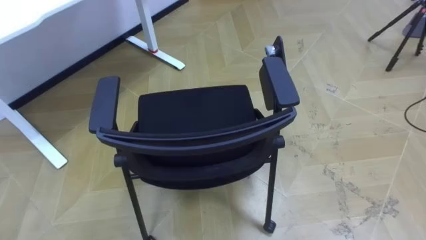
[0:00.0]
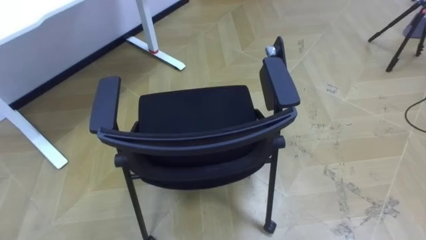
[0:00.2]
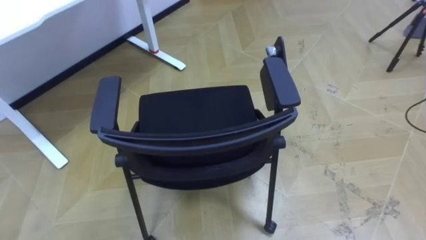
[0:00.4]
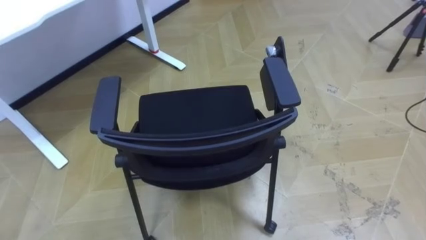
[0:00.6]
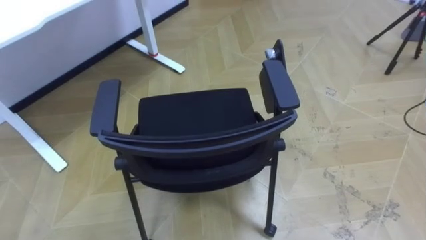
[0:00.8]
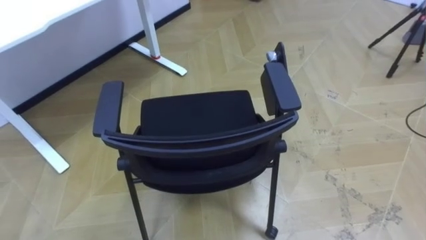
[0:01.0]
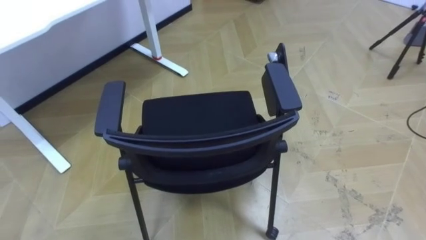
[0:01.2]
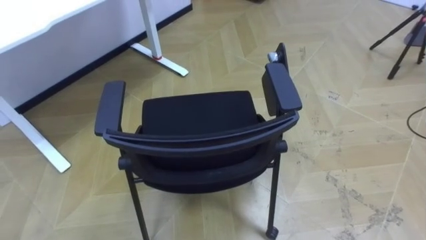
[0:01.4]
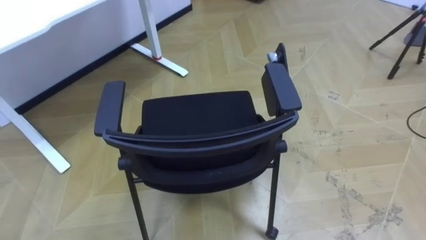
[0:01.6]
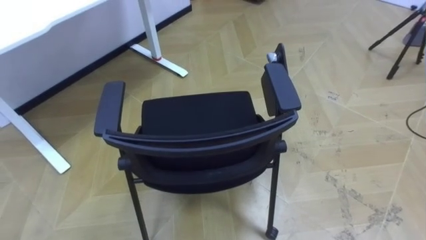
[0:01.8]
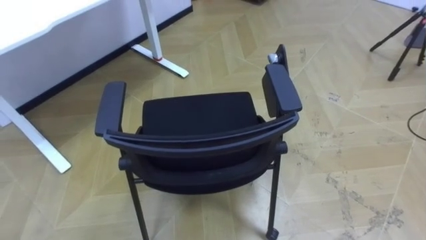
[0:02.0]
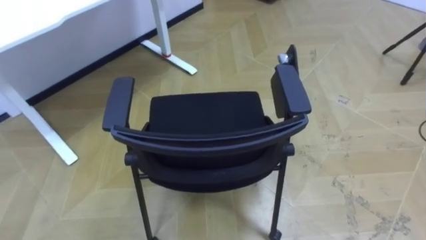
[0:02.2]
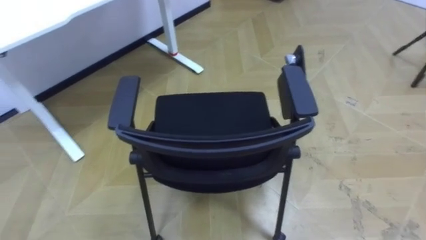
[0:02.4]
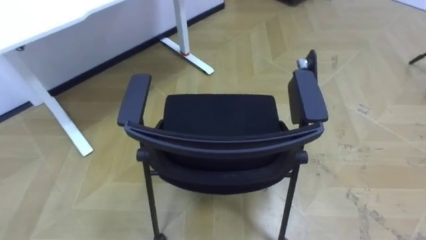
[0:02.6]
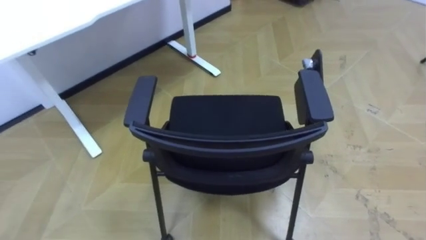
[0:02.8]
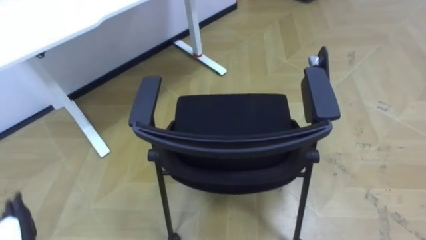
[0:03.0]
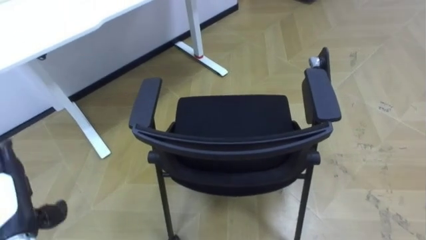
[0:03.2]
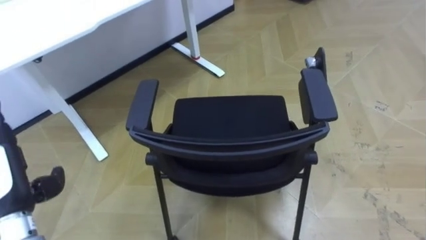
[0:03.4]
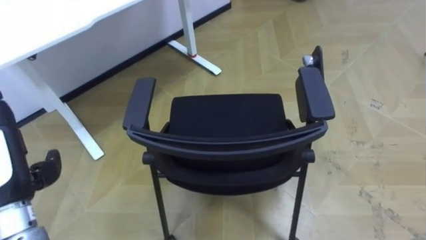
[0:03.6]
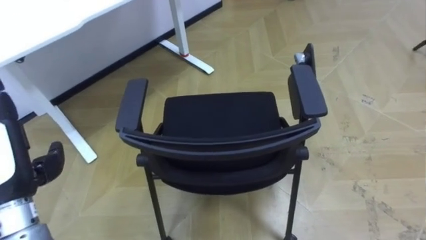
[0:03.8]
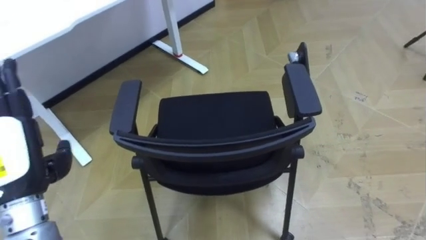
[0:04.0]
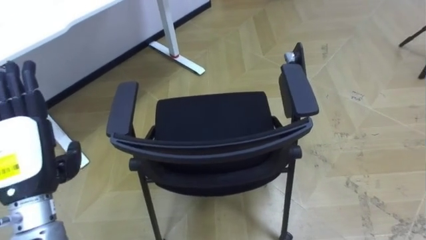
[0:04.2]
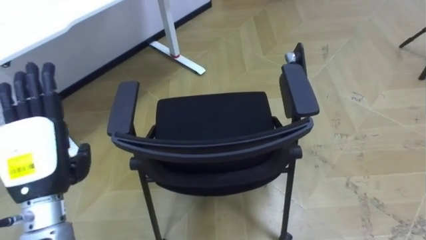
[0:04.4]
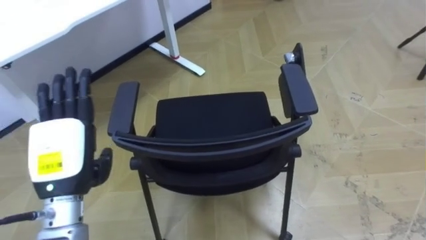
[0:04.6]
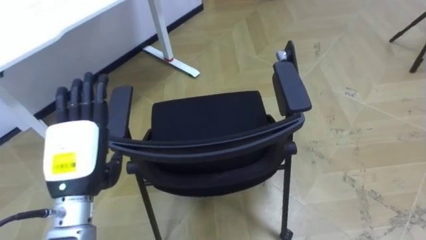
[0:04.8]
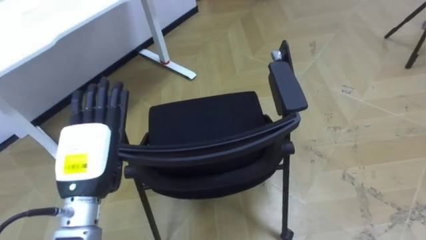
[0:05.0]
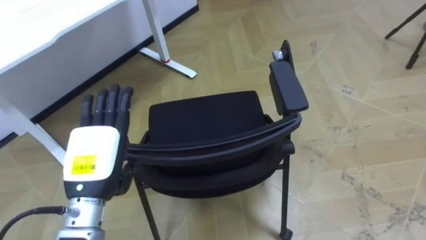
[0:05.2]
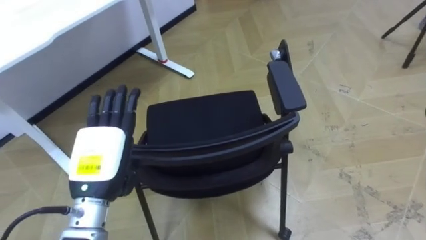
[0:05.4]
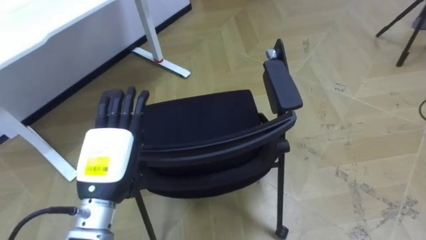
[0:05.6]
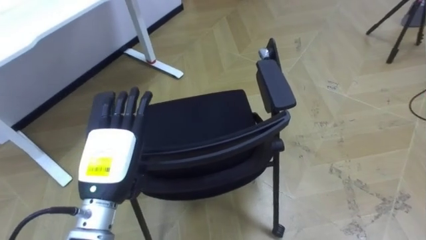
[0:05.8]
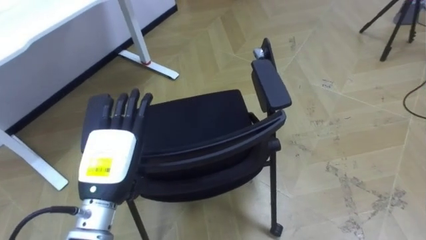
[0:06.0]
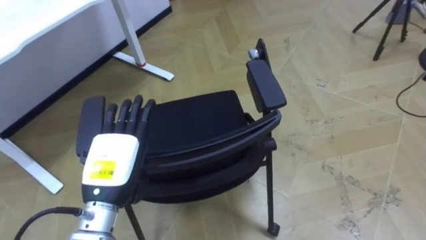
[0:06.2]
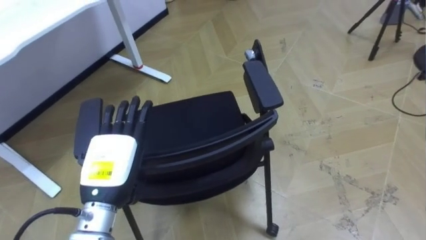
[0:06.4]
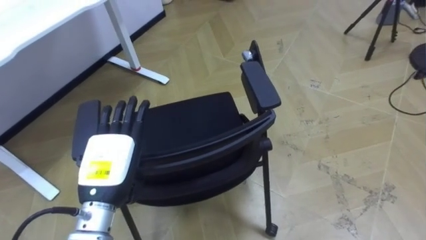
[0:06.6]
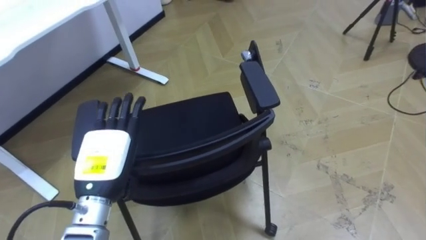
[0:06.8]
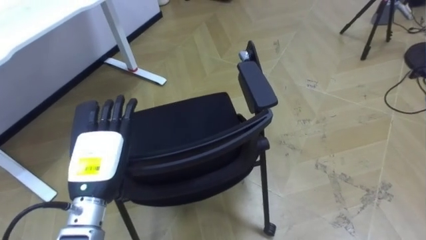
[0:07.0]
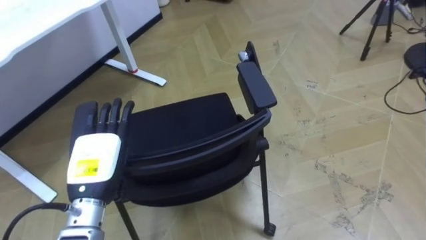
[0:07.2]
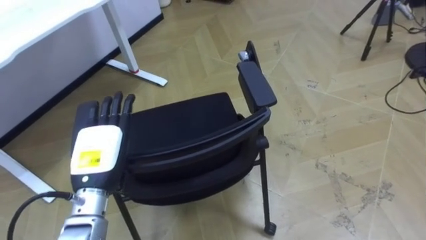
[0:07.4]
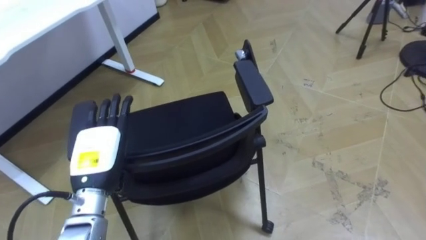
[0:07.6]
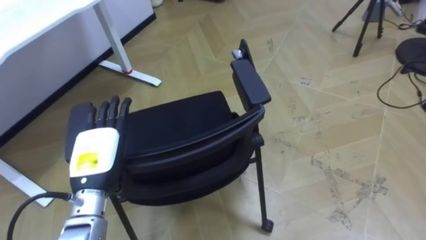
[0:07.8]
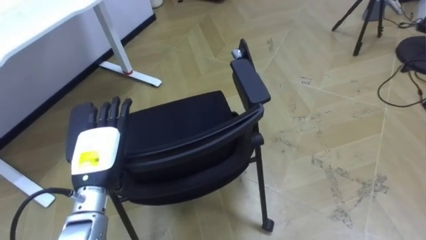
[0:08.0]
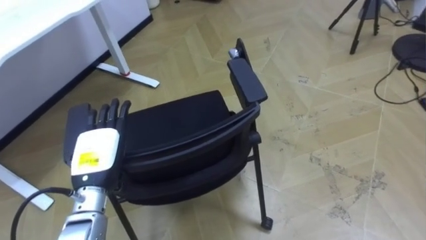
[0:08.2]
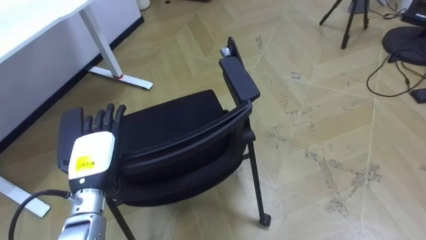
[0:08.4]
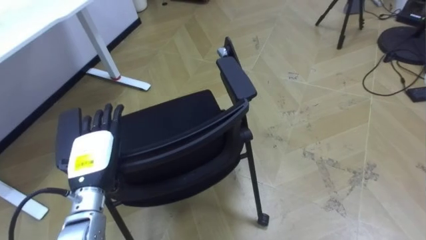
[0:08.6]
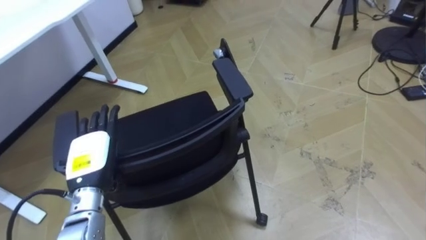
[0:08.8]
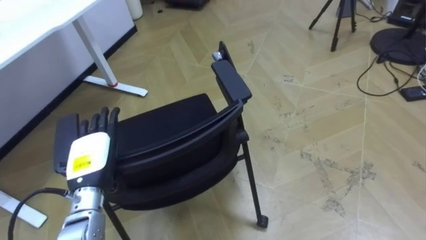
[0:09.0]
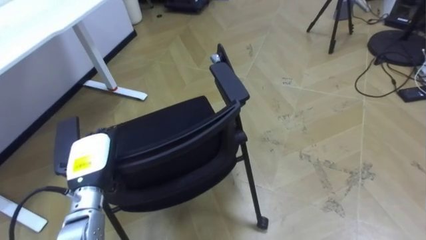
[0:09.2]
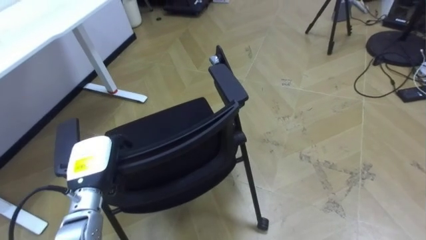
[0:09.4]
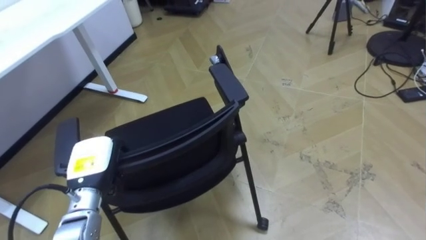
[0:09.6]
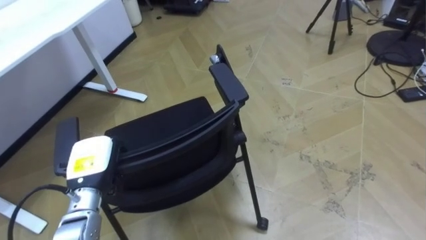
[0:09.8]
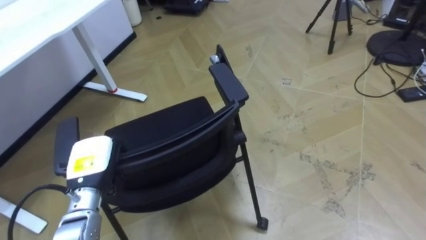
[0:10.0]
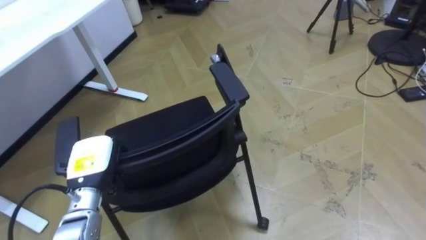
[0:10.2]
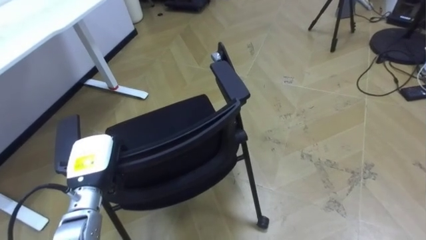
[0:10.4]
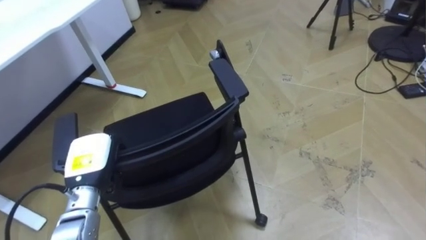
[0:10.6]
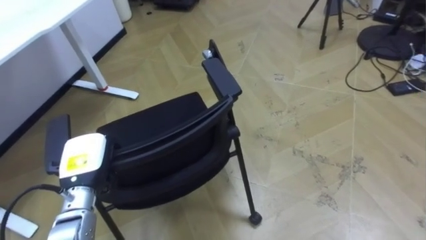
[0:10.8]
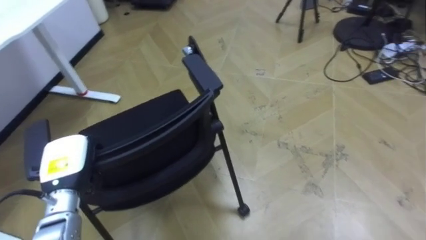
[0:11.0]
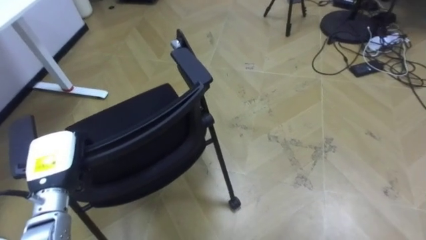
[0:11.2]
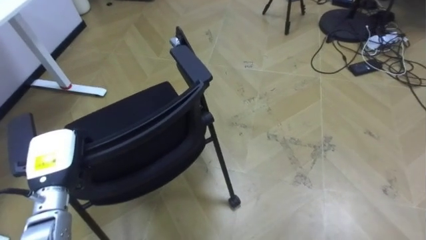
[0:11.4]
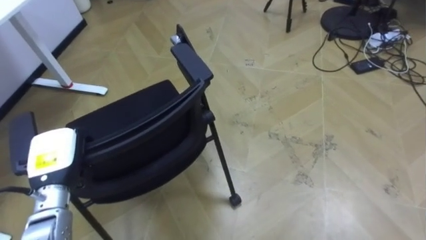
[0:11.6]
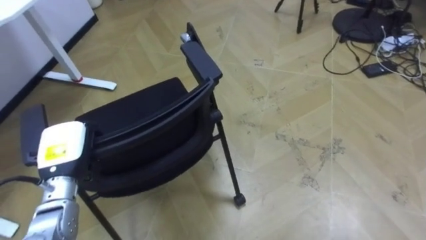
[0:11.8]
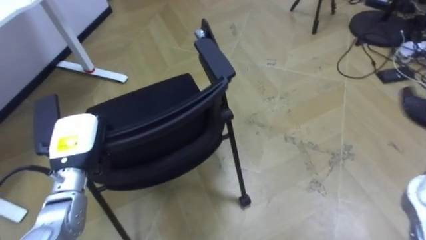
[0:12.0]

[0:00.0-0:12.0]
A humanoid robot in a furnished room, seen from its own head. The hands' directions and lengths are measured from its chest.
Task of the whole recording: Push the chair under the table.
0:04.4 to 0:06.0: The left hand moves to the right, some 10 cm.
0:09.0 to 0:10.4: The left hand closes up.

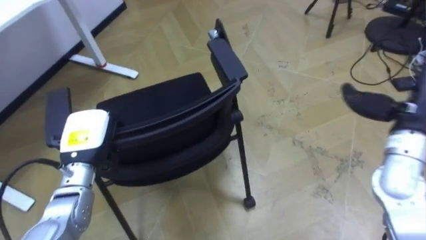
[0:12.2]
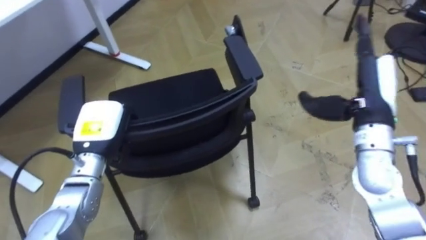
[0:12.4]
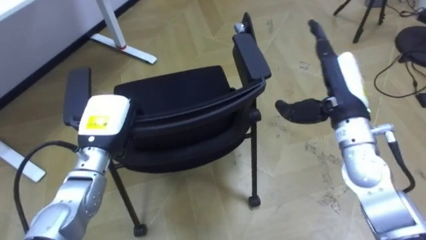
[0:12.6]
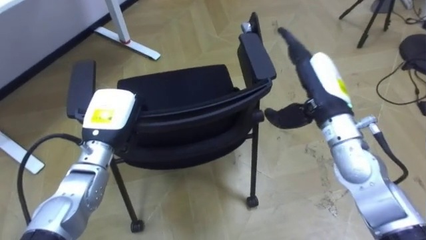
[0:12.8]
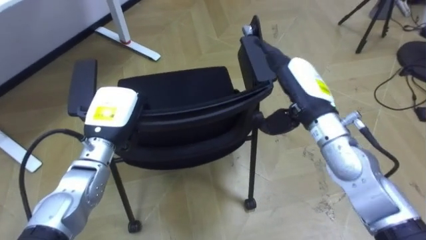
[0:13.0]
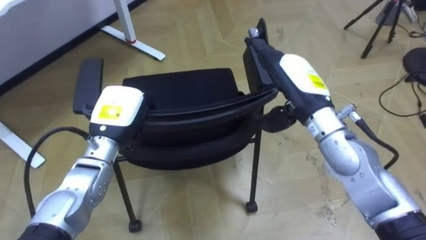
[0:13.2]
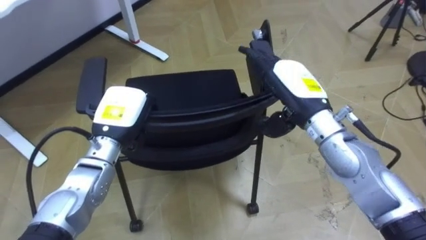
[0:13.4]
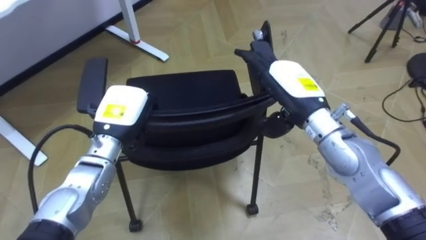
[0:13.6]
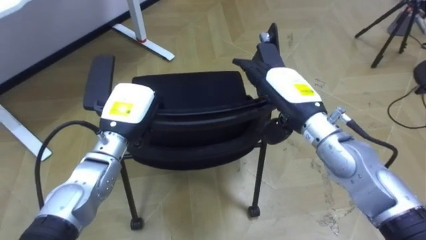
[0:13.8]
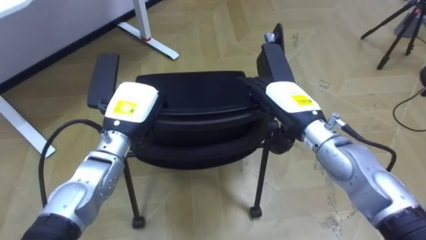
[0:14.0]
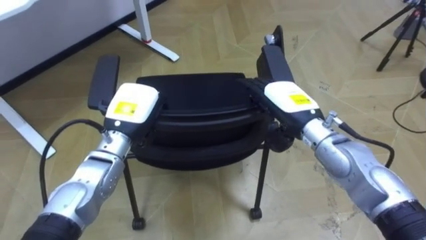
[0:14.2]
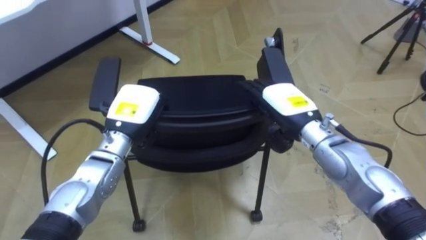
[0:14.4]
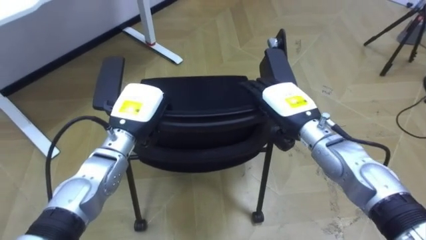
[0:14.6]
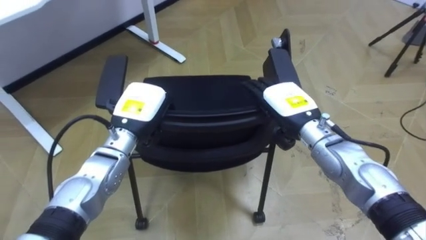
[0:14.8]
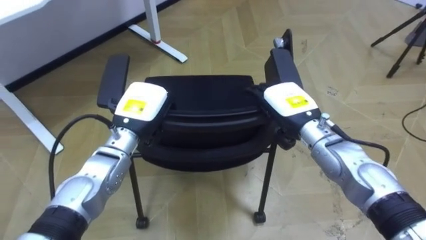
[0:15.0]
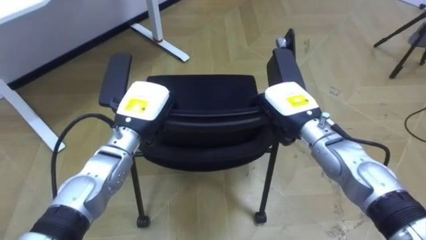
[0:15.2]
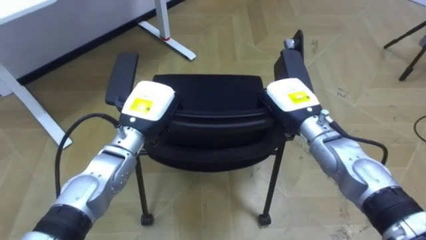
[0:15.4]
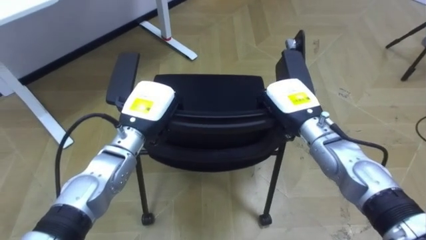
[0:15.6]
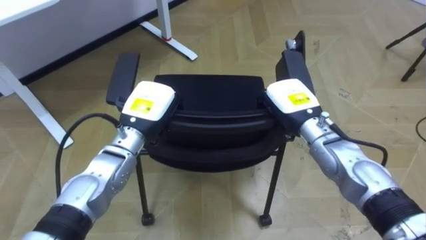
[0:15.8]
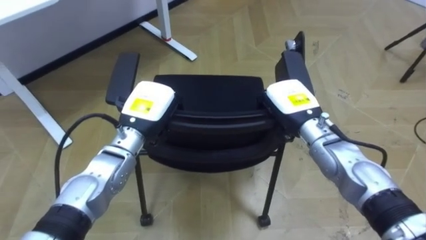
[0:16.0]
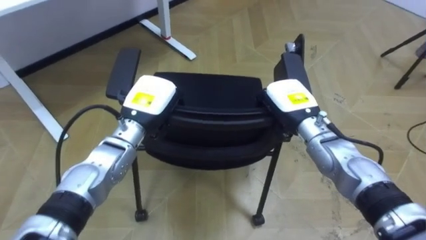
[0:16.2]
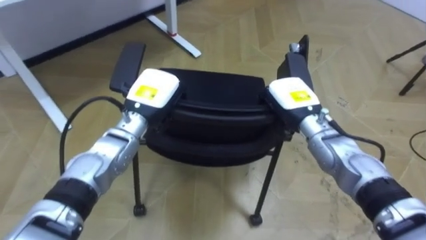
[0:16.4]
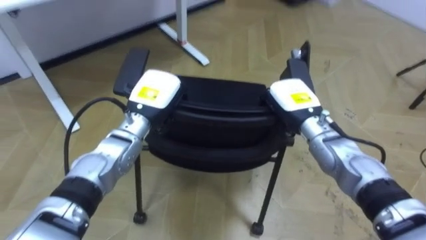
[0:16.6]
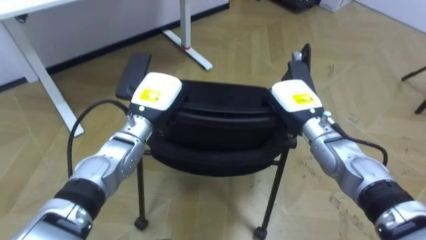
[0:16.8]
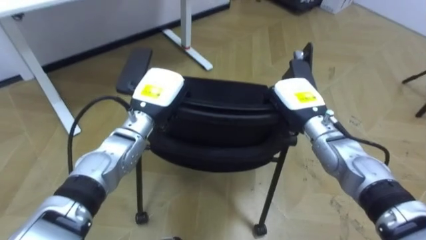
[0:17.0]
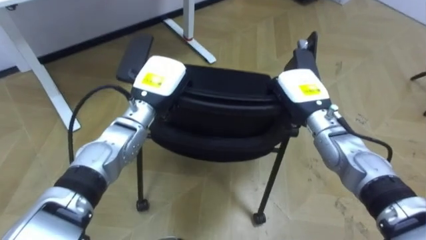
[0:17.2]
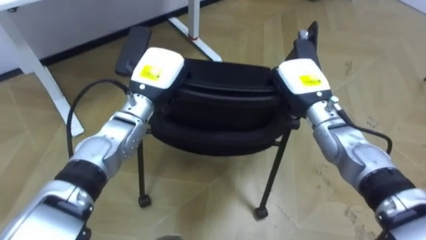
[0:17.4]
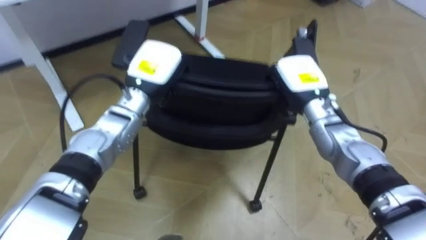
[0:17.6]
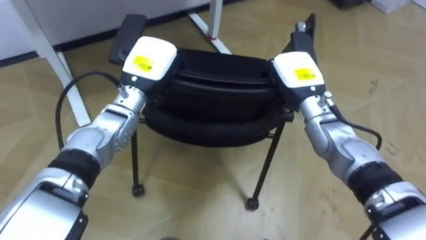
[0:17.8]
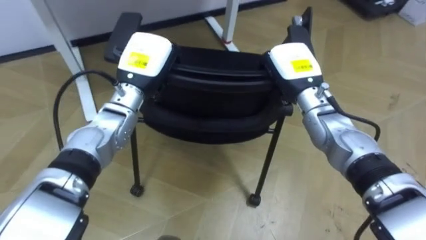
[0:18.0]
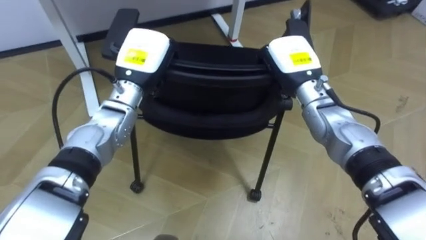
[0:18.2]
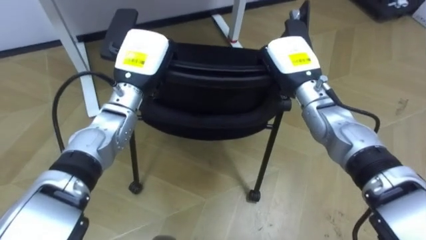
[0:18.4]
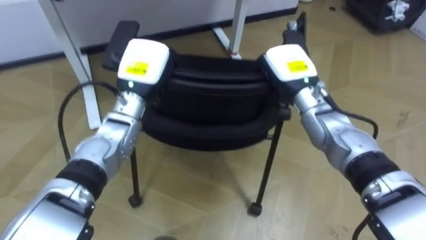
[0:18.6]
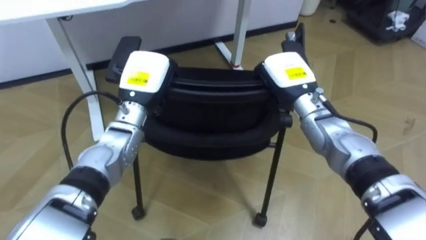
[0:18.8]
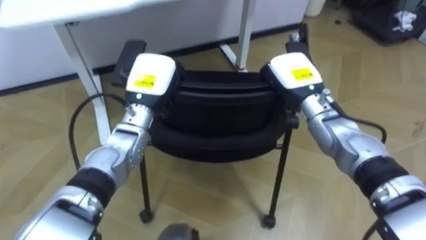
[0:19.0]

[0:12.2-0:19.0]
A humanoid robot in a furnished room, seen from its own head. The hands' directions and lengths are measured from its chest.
Task of the whole recording: Push the chair under the table.
0:12.2 to 0:13.6: The right hand goes roughly 20 cm to the left, while the left hand goes about 5 cm to the right.
0:13.6 to 0:15.0: The right hand moves downward, some 5 cm.
0:15.0 to 0:16.2: The right hand closes up.
0:16.2 to 0:17.6: The left hand moves approximately 5 cm.
